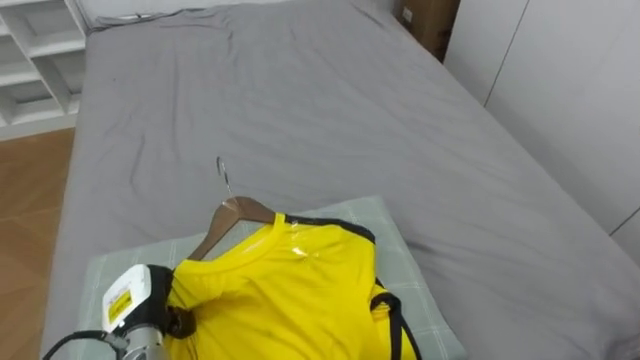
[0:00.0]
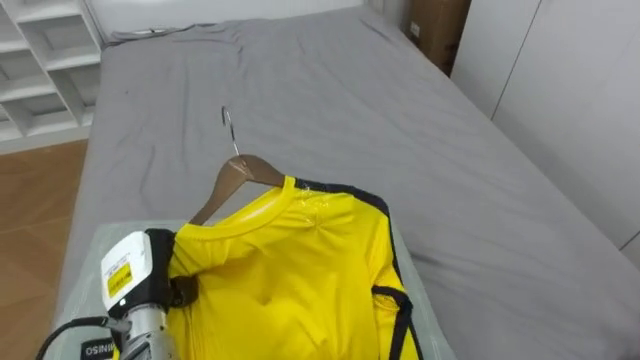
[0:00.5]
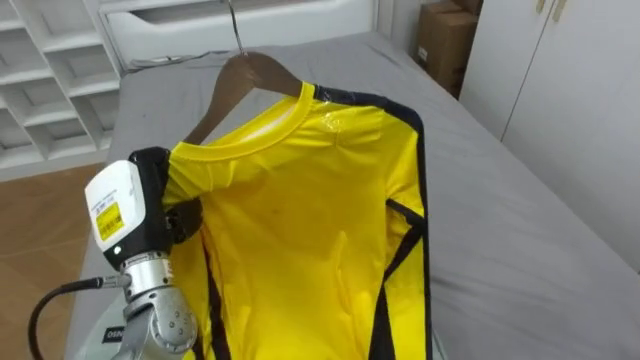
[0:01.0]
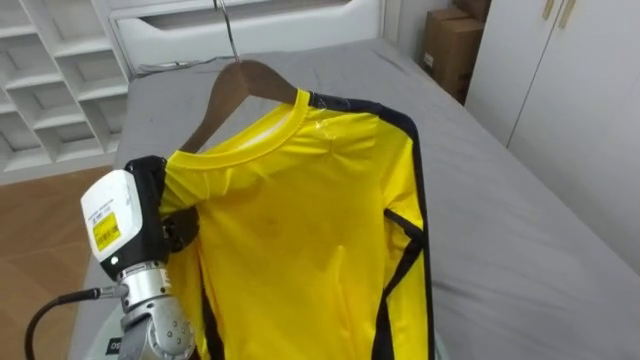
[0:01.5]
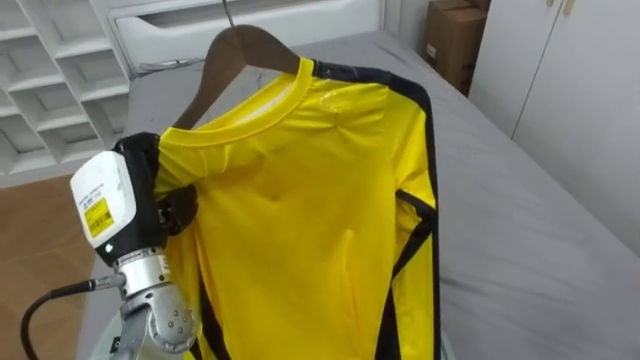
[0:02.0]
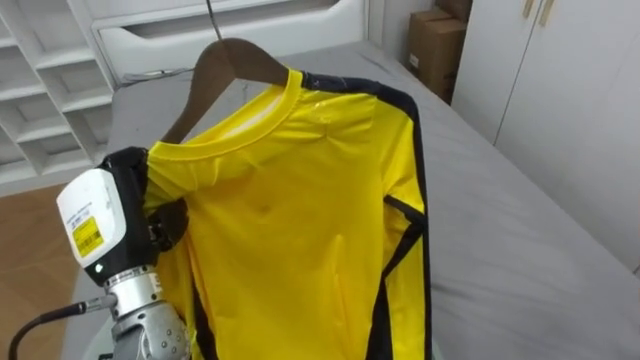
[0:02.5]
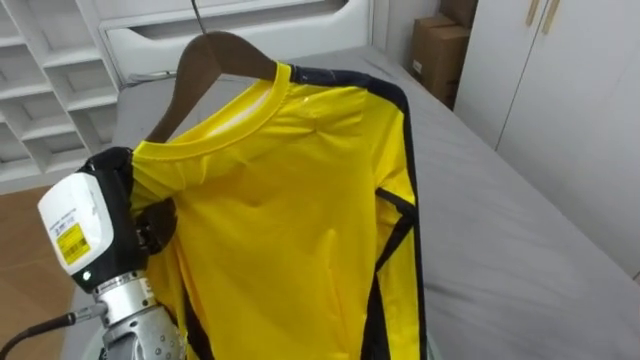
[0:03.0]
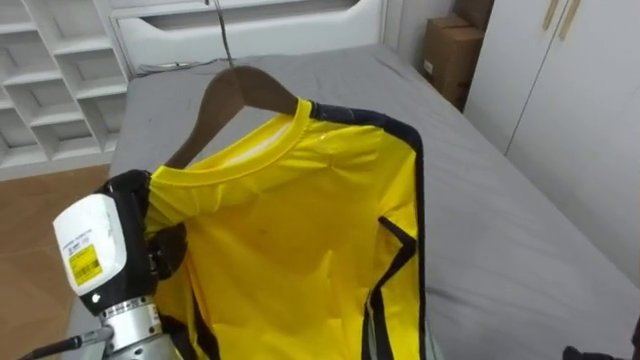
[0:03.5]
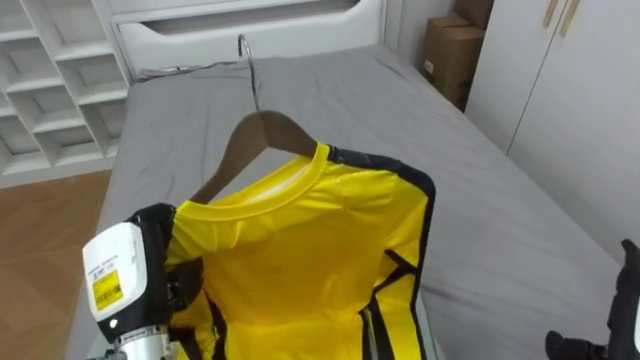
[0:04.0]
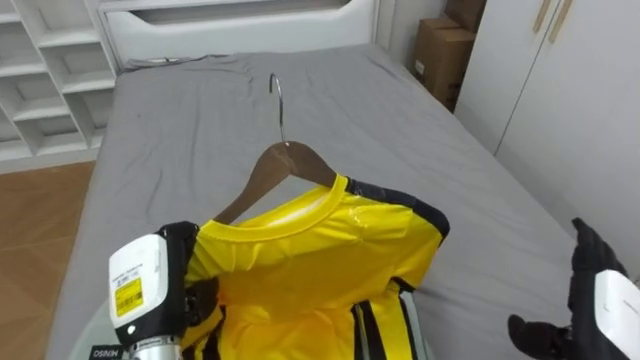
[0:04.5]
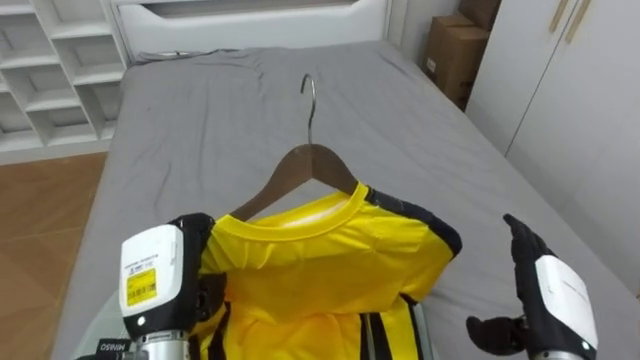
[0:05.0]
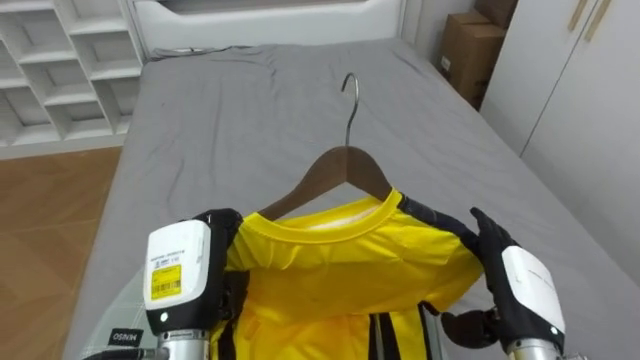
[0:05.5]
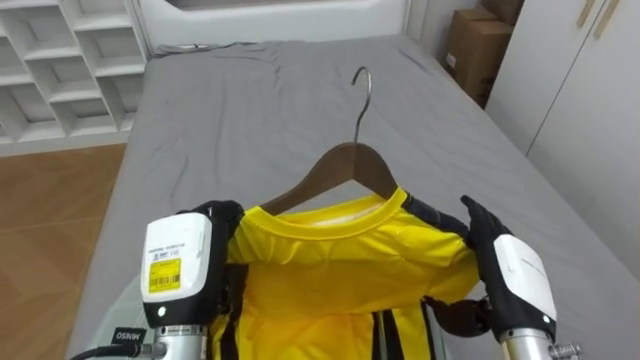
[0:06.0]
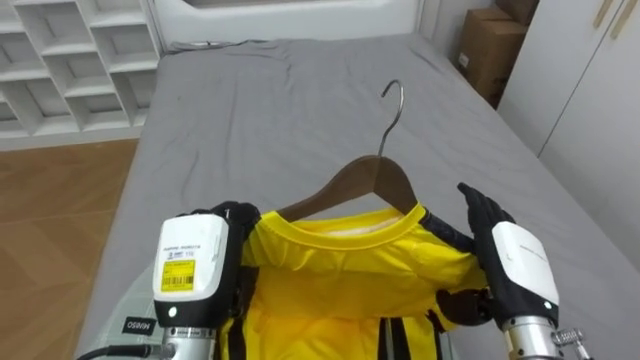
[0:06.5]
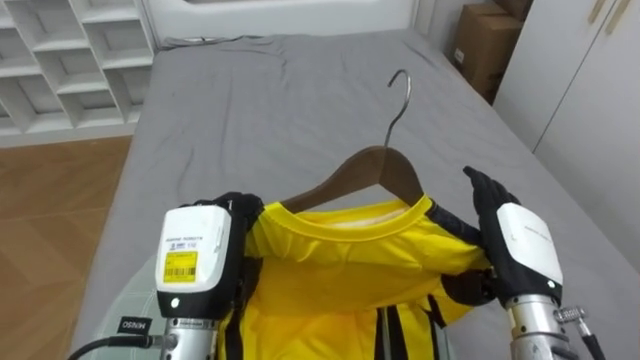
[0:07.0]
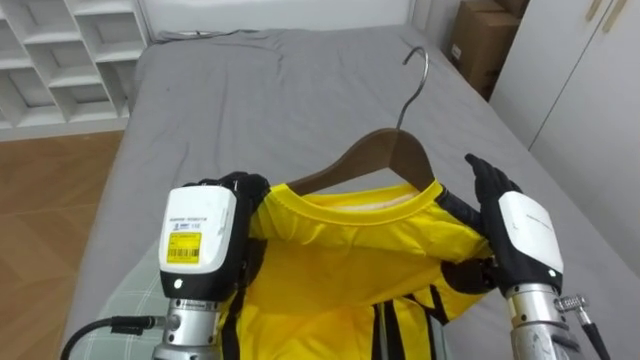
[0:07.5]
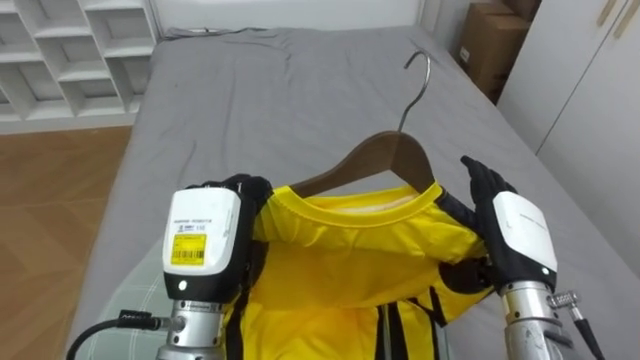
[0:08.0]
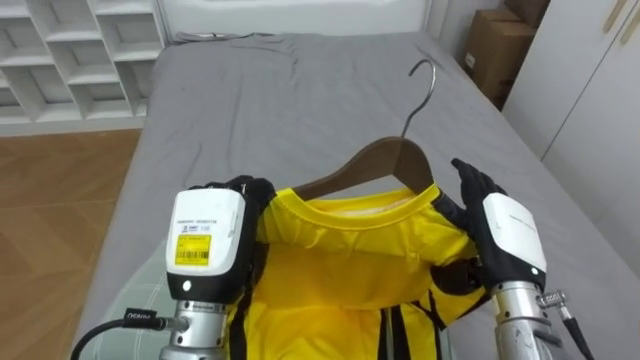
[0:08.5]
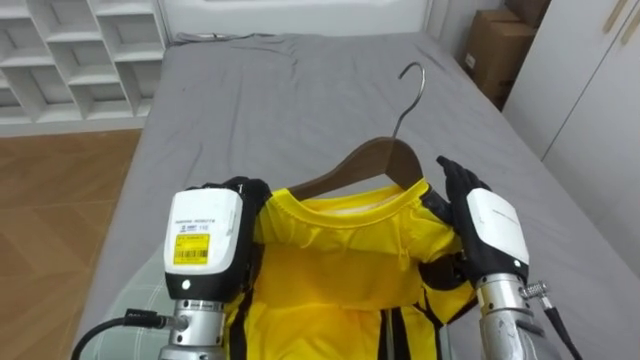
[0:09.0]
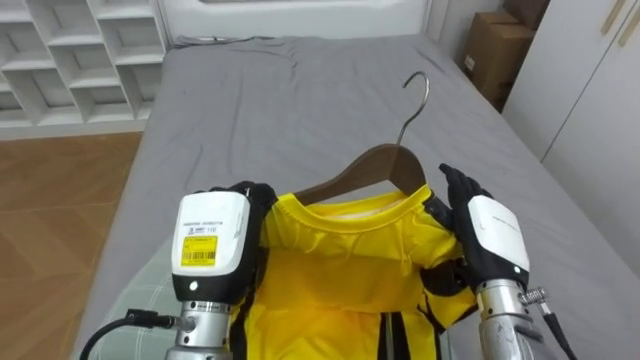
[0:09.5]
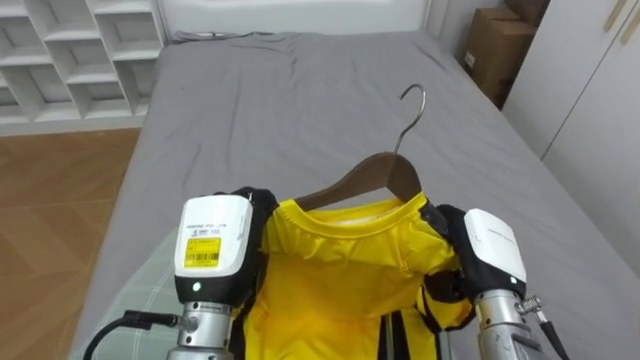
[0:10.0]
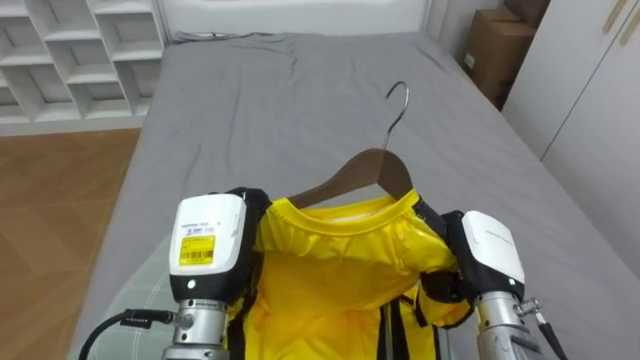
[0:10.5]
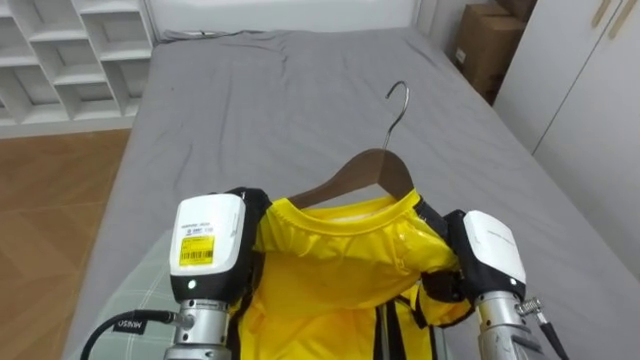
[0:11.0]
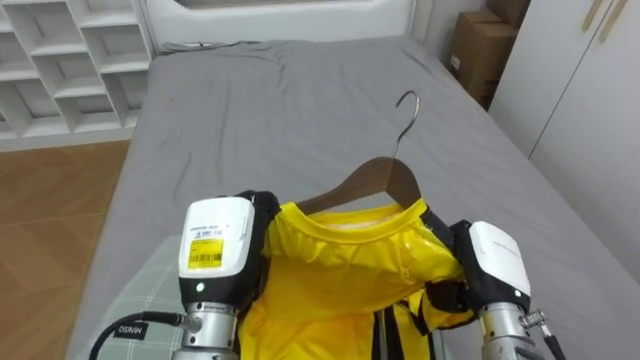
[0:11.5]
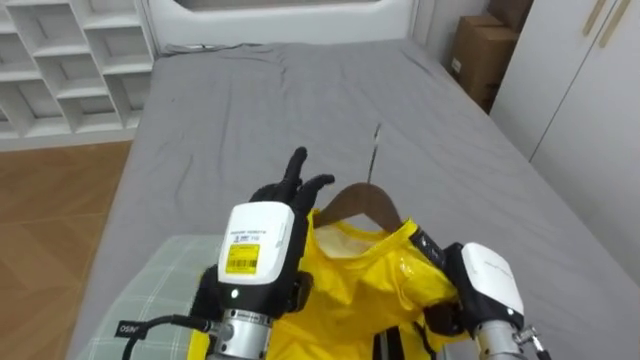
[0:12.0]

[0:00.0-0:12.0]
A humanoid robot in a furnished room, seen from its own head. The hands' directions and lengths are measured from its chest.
Task of the whole recording: Pick up the yellow shirt on the bed and hang it on the clothes rack on the right.
0:00.0 to 0:02.0: The left hand heads upward, covering about 20 cm.
0:02.0 to 0:04.0: The left hand is displaced downward and backward by about 10 cm.
0:04.0 to 0:06.0: The right hand moves to the left and forward, approximately 15 cm, while the left hand travels to the right by approximately 5 cm.
0:08.0 to 0:10.0: The right hand closes up.
0:10.0 to 0:12.0: The left hand opens its fingers. Meanwhile the right hand closes.

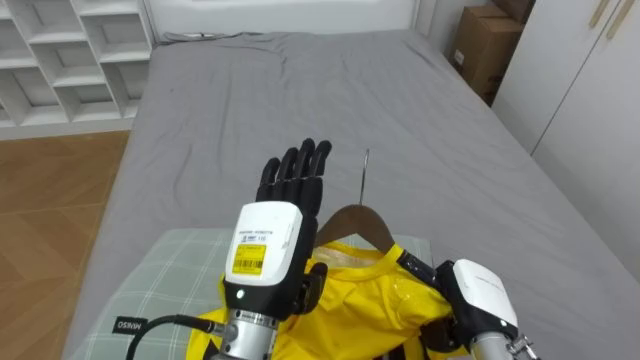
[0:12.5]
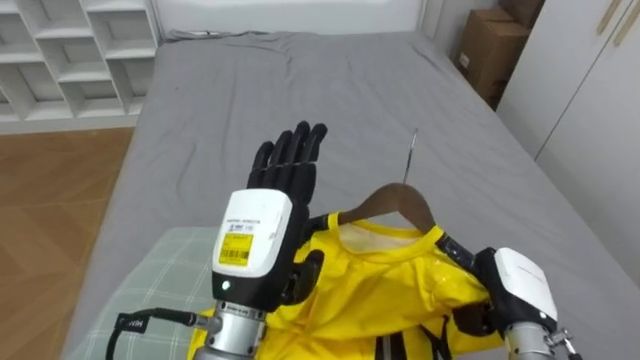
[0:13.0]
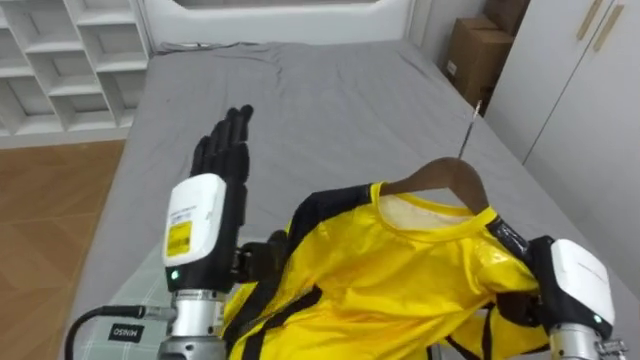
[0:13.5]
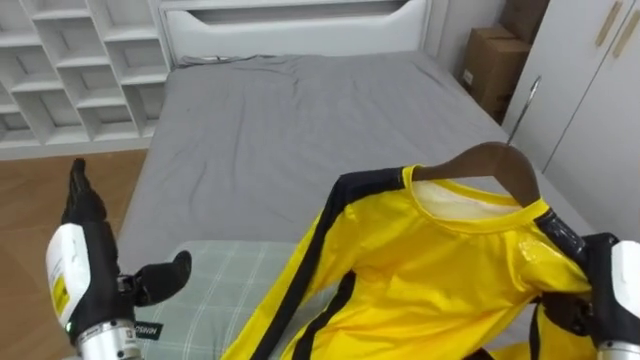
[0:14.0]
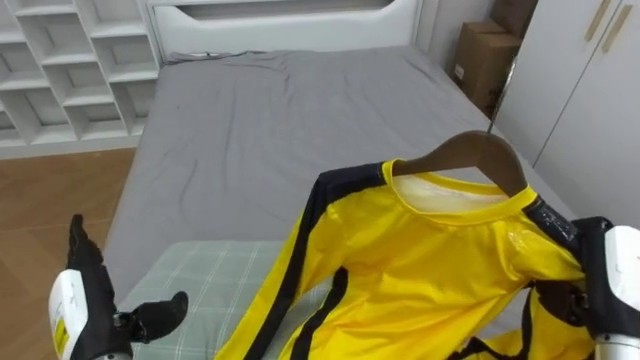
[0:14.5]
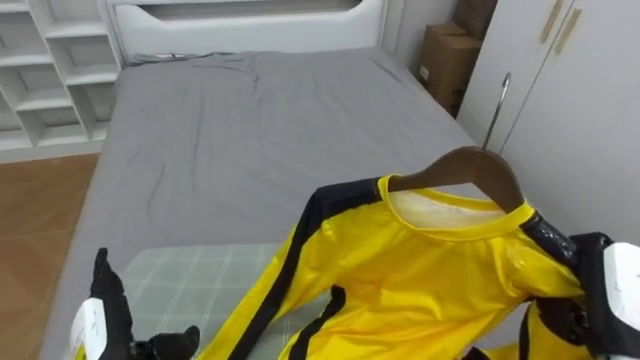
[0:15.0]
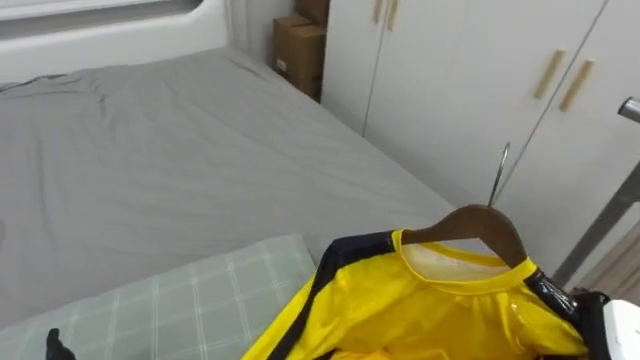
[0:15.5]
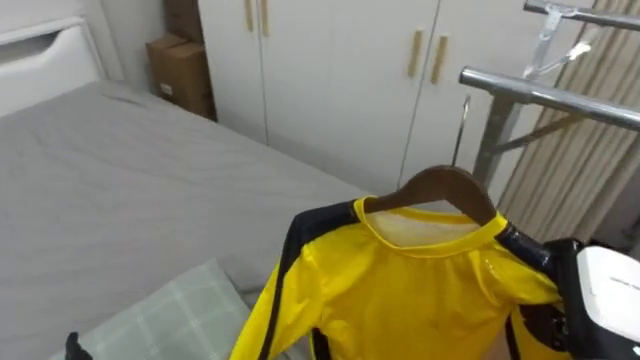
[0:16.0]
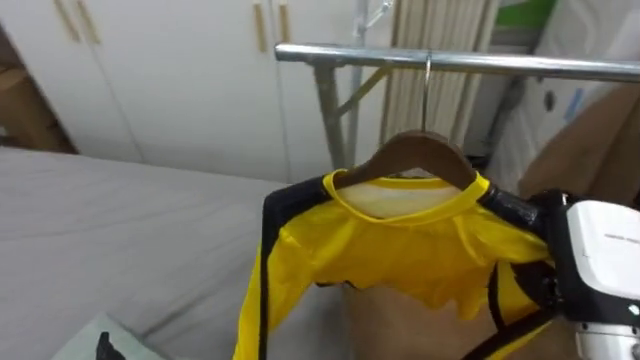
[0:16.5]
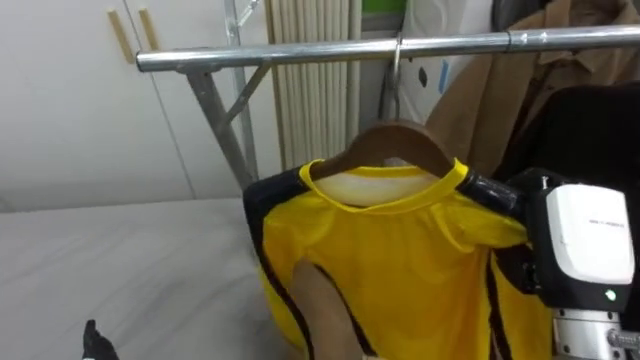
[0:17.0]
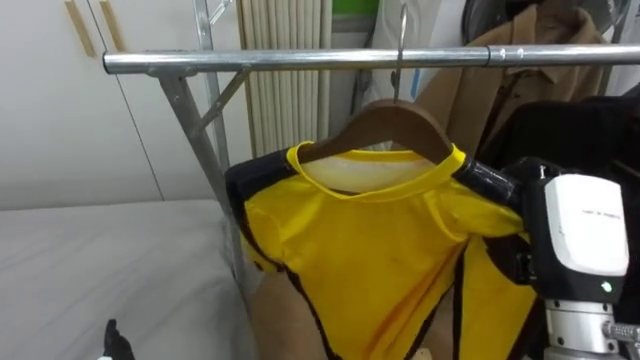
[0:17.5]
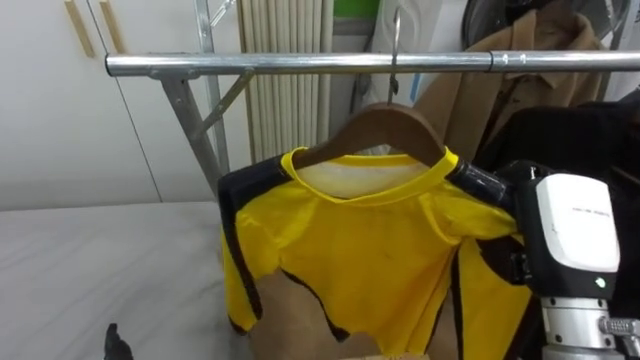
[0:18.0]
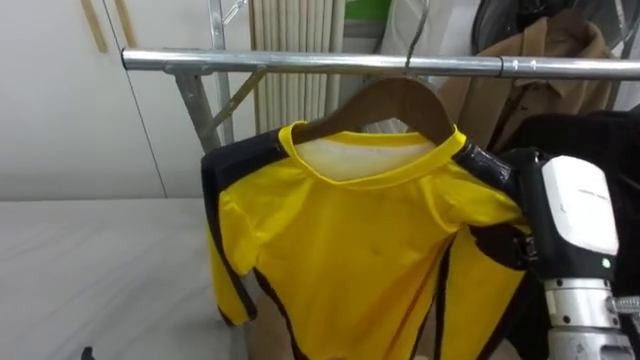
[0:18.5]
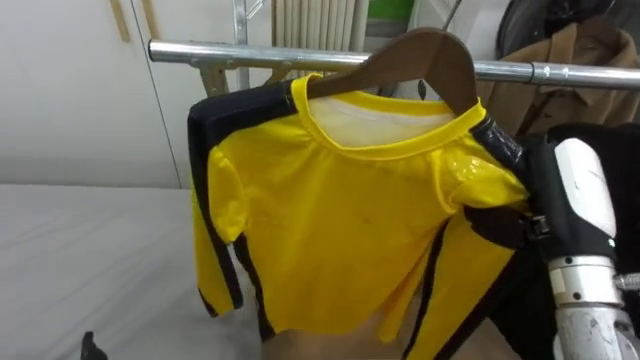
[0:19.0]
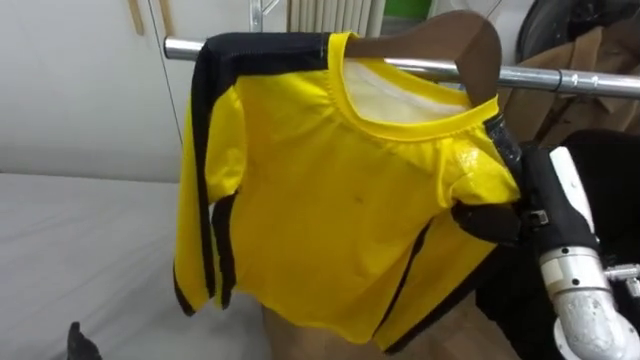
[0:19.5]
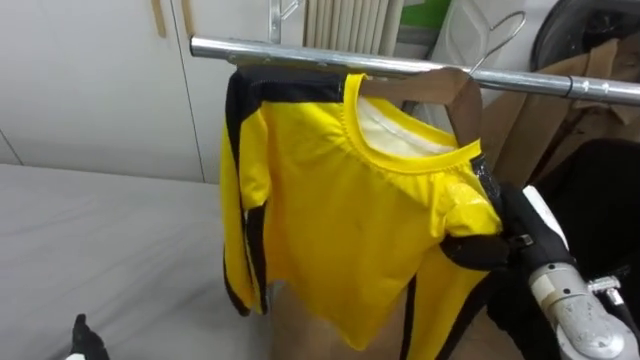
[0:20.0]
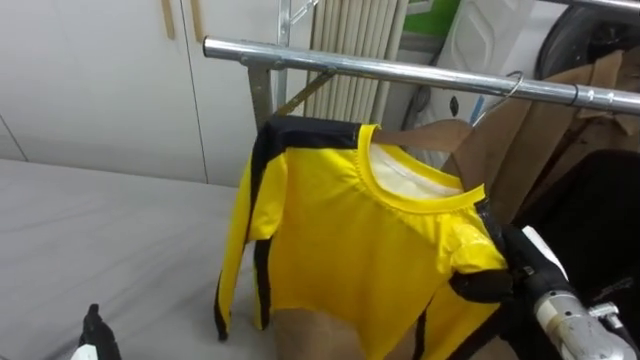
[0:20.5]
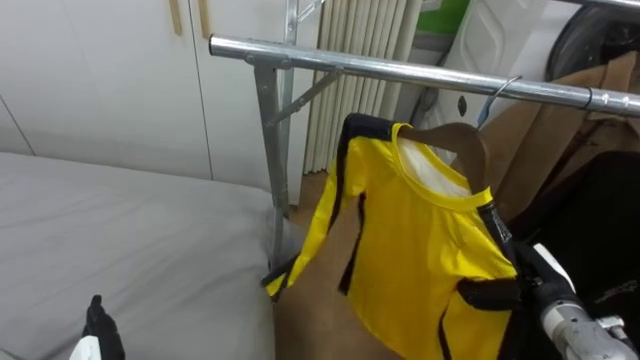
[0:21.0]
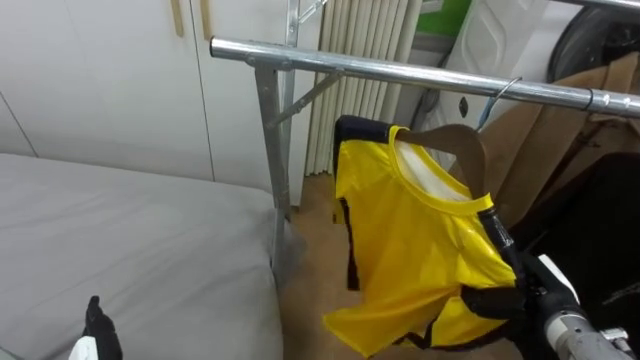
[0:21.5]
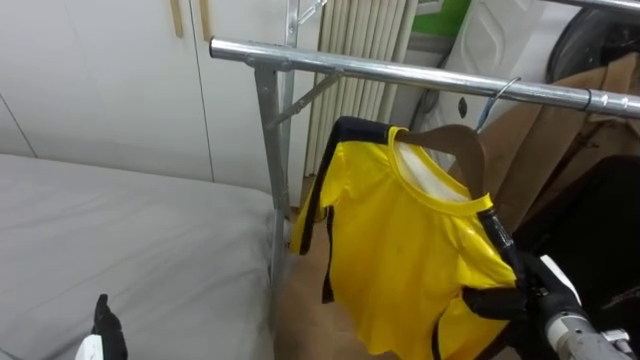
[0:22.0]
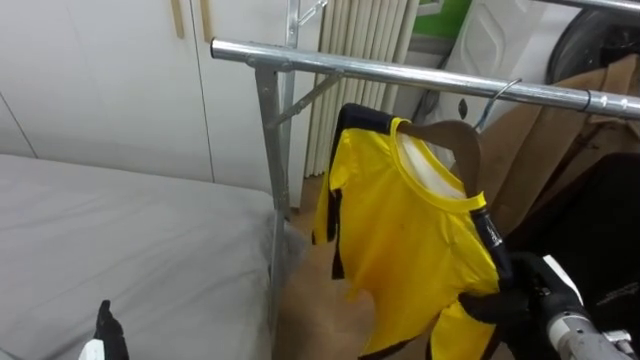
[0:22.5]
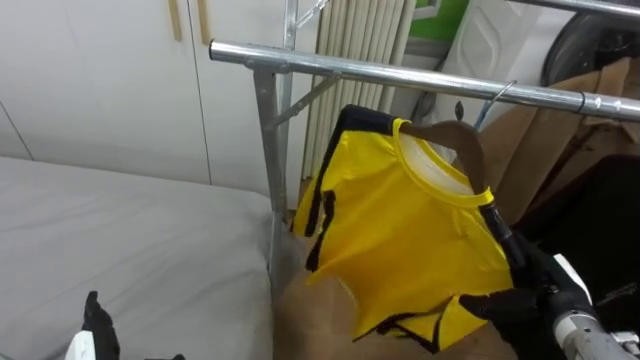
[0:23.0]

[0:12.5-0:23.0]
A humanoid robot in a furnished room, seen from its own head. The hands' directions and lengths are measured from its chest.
Task of the whole recording: Pick up the yellow shirt on the bed and hang it on the clothes rack on the right.
0:12.5 to 0:14.5: The right hand shifts roughly 15 cm to the right and upward; the left hand heads to the left, covering some 20 cm.
0:14.5 to 0:16.5: The robot turns to its right by about 70 degrees.
0:16.5 to 0:19.0: The robot faces roughly 20 degrees further to its right. The right hand moves approximately 5 cm.
0:19.0 to 0:21.0: The right hand heads downward, covering some 20 cm.
0:21.0 to 0:23.0: The right hand opens.
